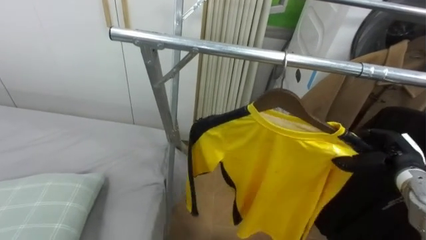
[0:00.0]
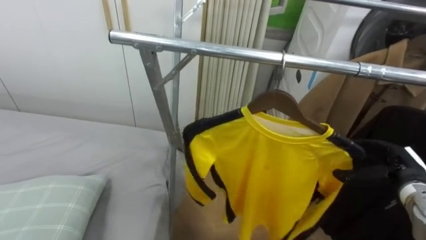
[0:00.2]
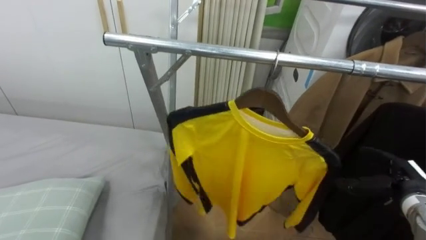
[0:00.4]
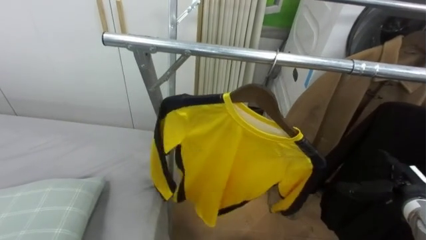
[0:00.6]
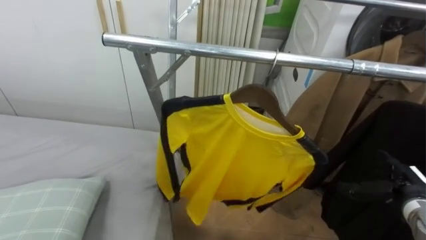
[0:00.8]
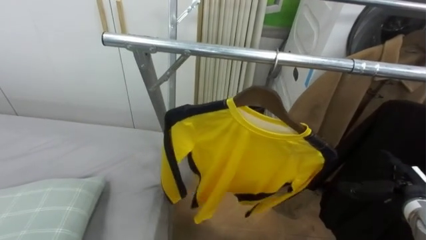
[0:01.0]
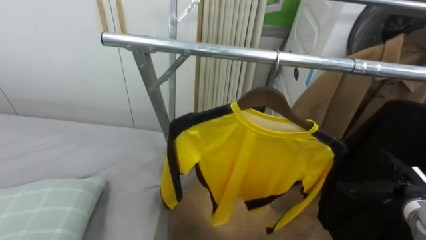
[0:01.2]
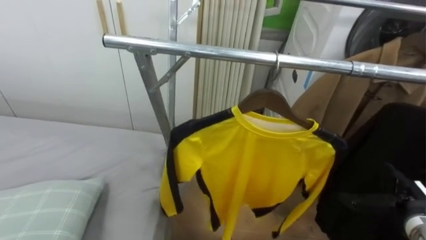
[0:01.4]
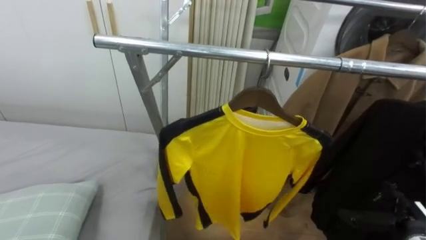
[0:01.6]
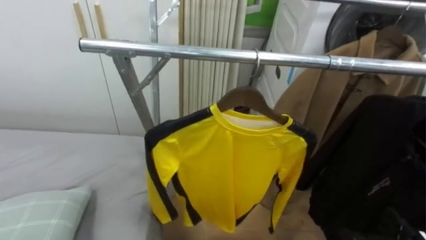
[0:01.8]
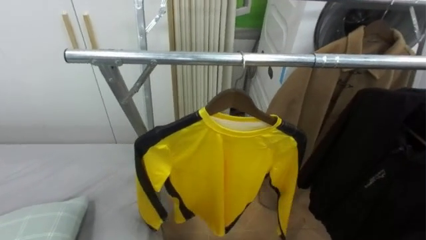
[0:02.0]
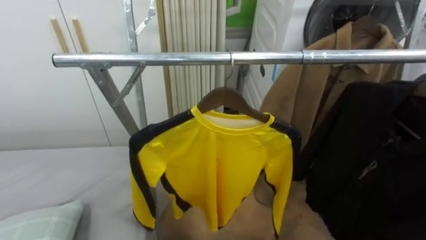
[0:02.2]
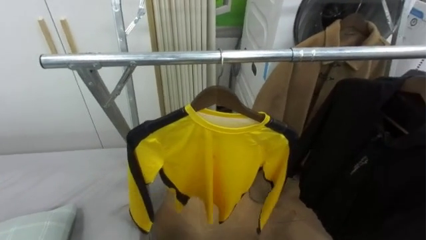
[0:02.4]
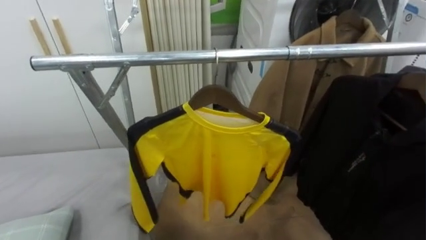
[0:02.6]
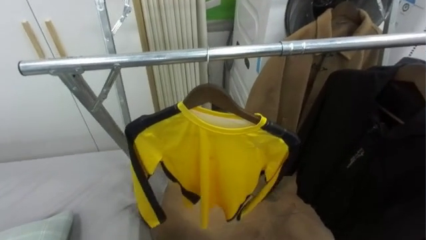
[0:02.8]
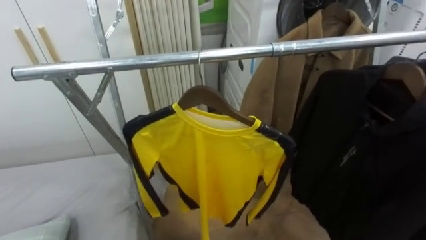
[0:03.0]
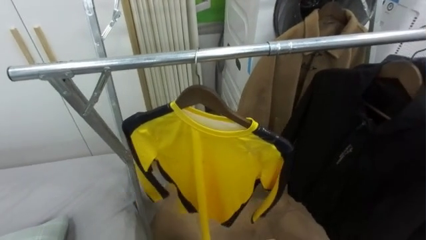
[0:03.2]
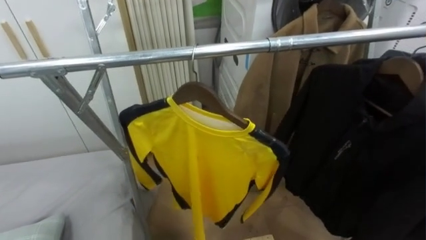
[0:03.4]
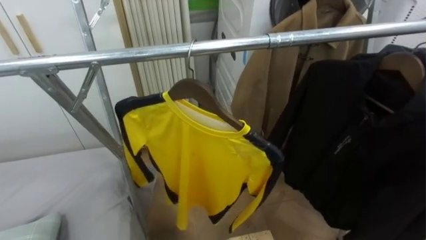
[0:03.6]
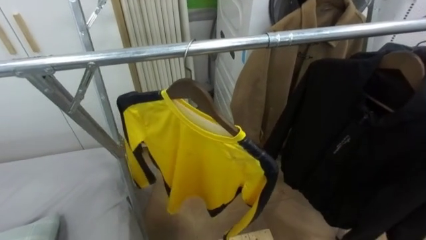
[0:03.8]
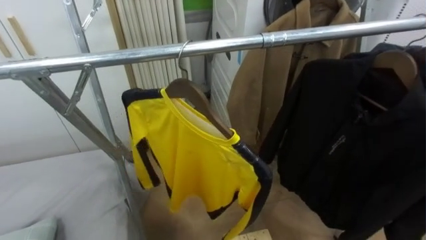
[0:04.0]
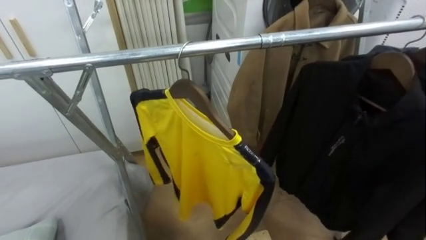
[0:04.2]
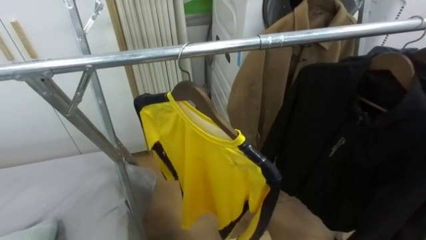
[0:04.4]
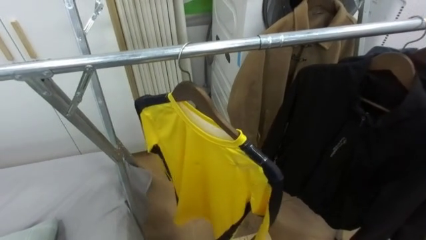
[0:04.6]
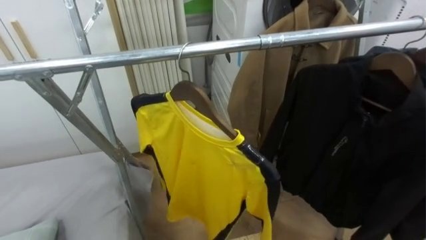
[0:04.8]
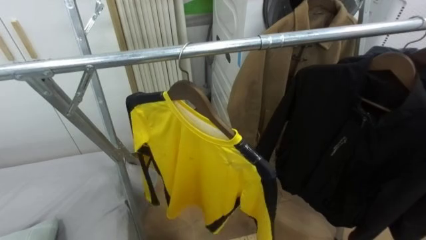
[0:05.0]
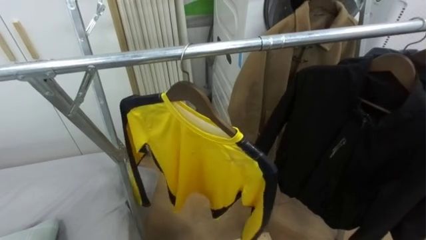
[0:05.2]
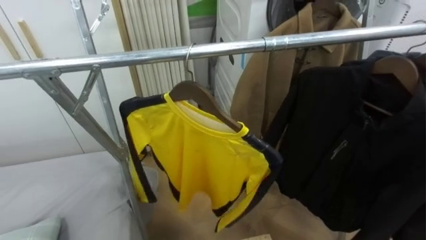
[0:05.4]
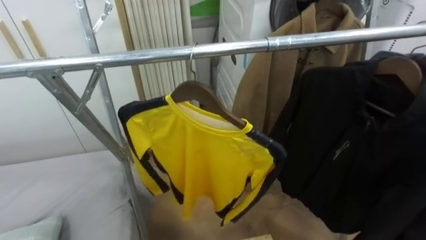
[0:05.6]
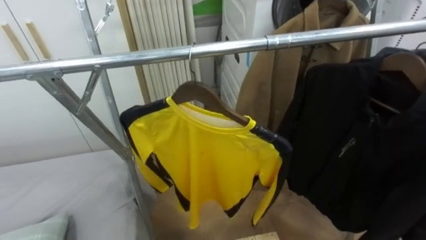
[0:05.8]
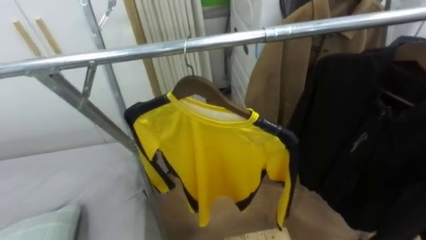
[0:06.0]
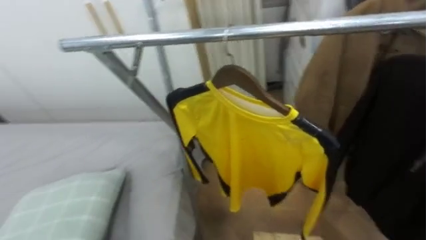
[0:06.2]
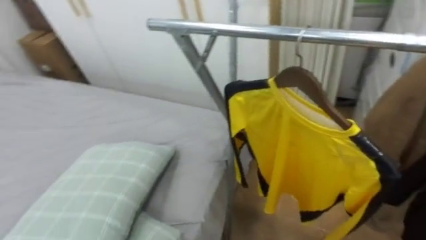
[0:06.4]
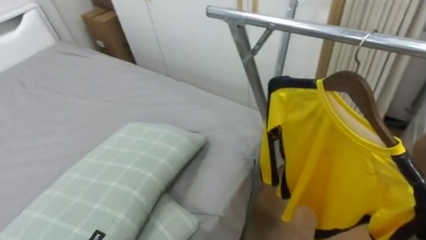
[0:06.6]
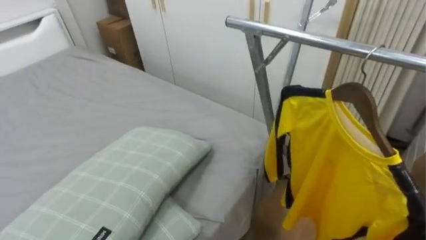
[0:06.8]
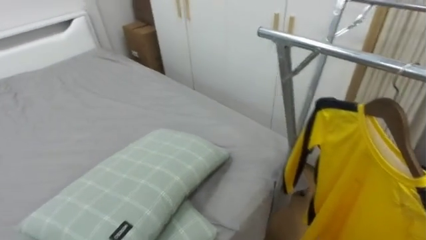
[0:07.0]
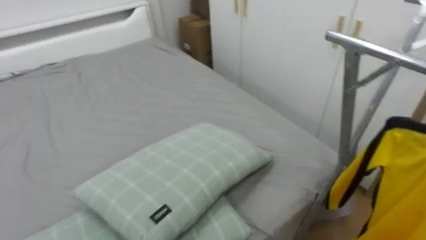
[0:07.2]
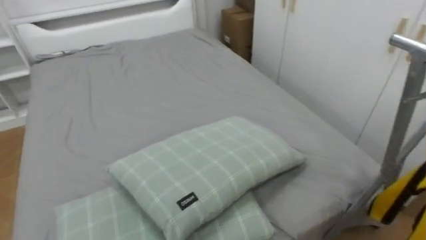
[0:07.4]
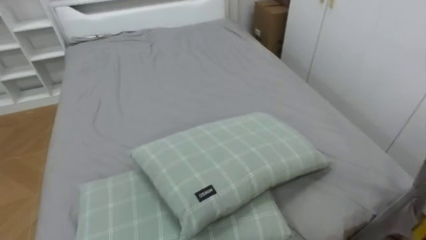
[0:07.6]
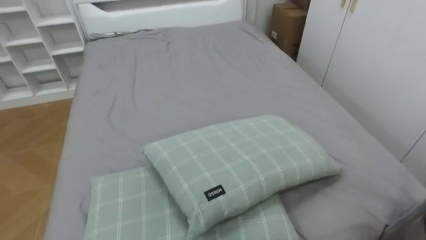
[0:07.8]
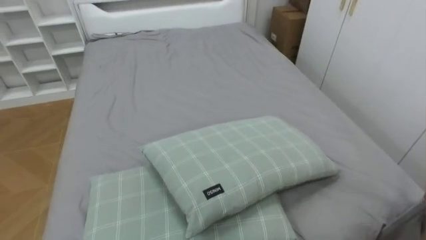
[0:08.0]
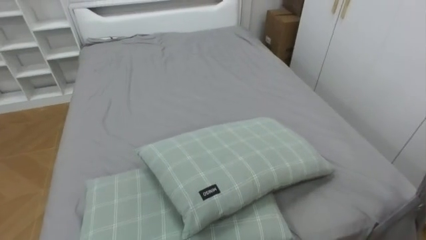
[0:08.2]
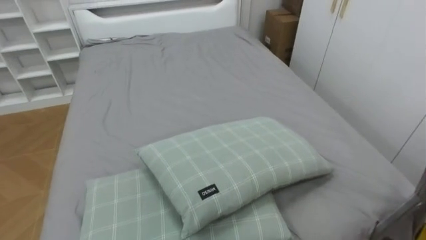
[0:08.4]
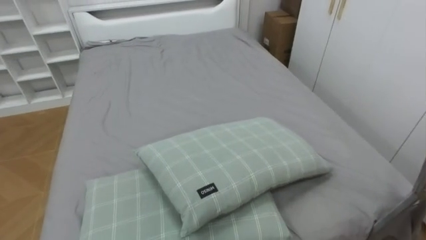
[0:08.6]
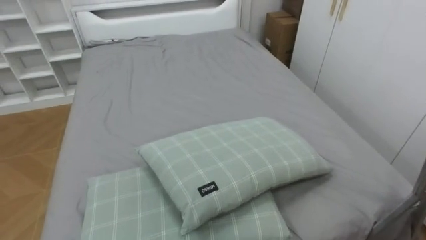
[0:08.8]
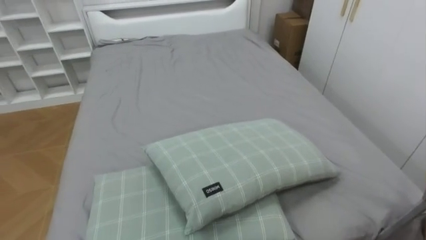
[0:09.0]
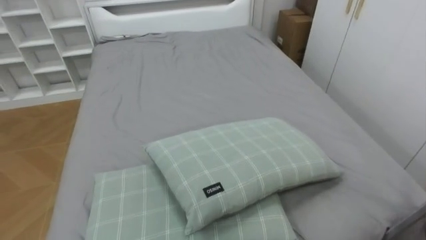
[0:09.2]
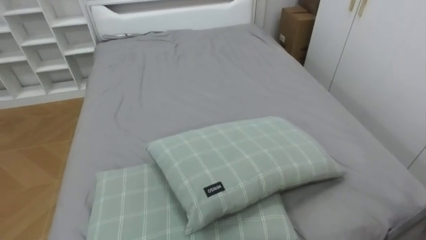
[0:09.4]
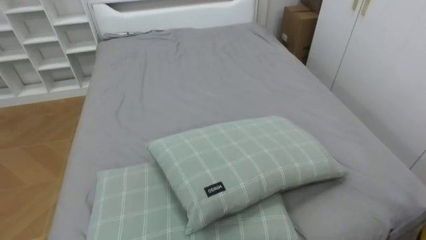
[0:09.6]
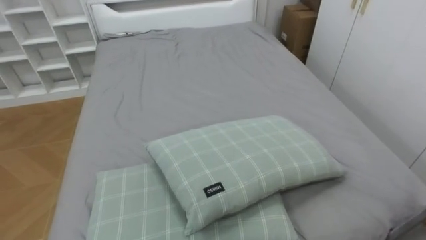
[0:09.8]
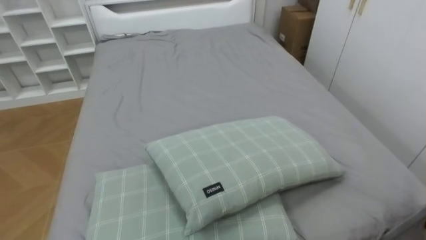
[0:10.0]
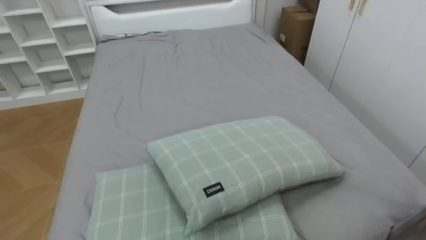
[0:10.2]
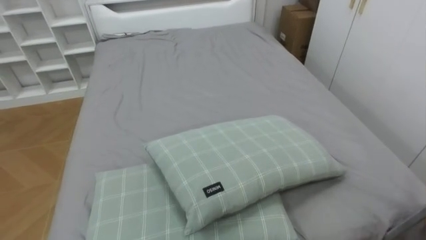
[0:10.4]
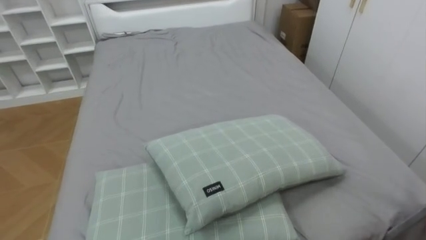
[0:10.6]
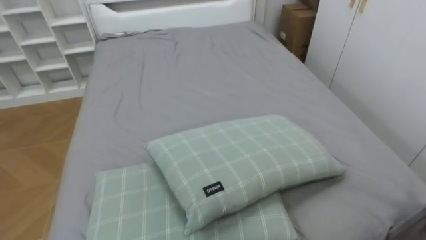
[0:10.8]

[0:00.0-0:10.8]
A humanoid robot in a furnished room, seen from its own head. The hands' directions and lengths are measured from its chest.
Task of the whole recording: Pick up the yellow shirt on the bed and hang it on the clothes rack on the right.
0:00.0 to 0:01.6: The right hand heads backward and downward, covering roughly 15 cm, and opens.
0:04.6 to 0:06.2: The robot rotates some 20 degrees to its left.
0:06.2 to 0:07.8: The robot's body swings roughly 65 degrees to its left.

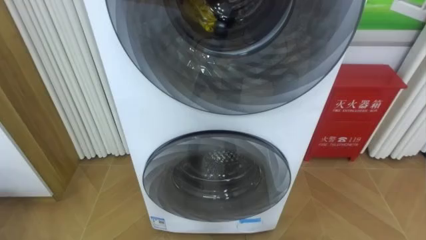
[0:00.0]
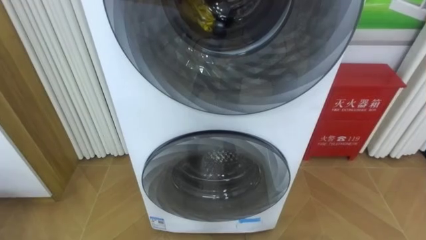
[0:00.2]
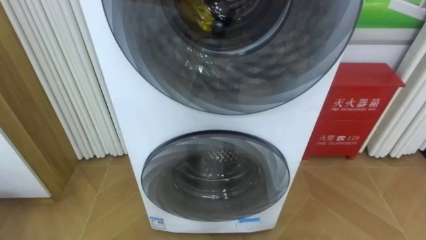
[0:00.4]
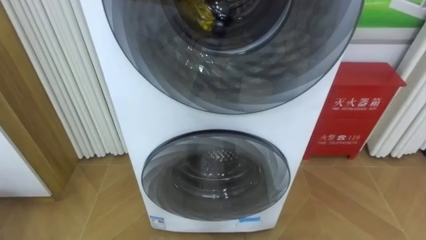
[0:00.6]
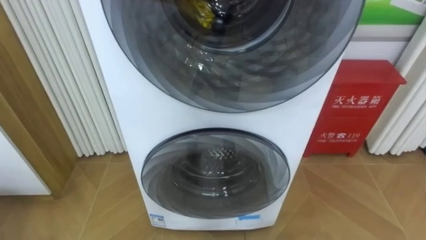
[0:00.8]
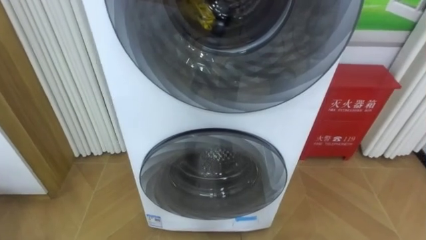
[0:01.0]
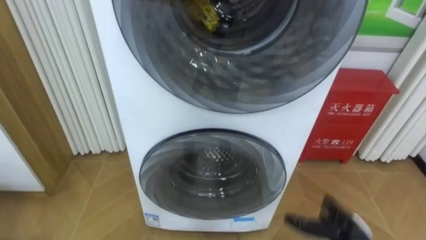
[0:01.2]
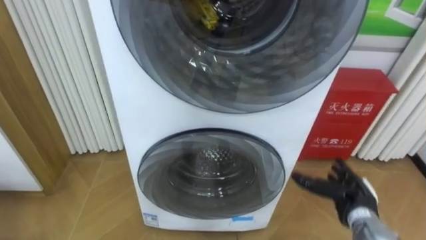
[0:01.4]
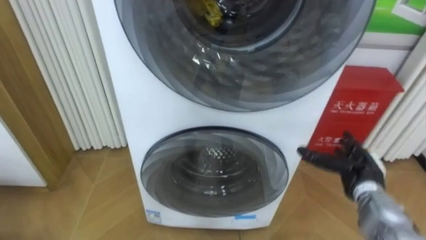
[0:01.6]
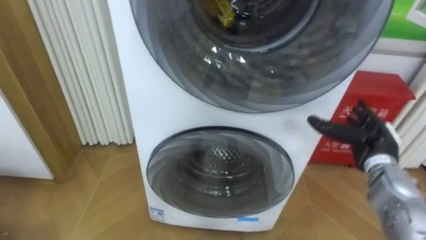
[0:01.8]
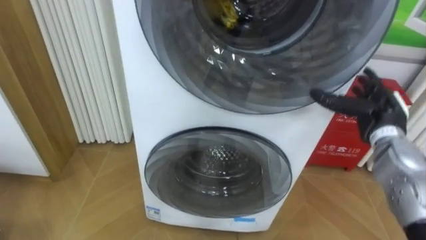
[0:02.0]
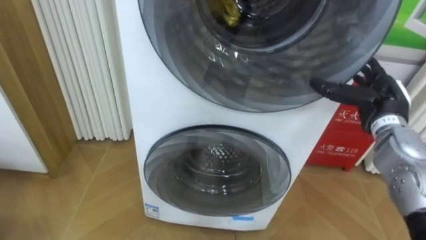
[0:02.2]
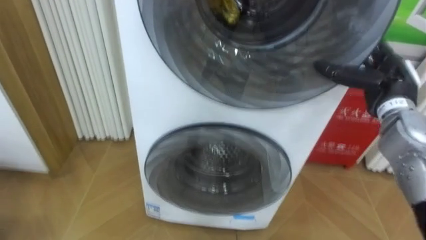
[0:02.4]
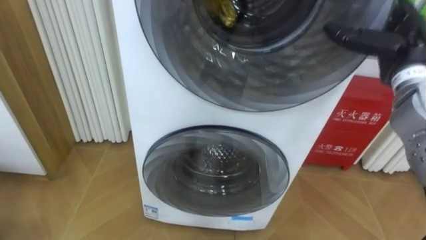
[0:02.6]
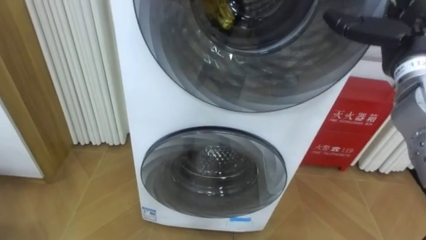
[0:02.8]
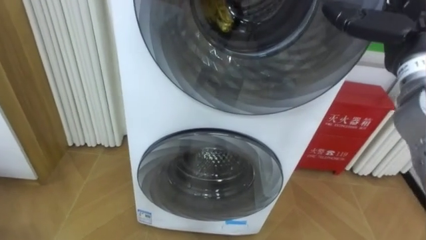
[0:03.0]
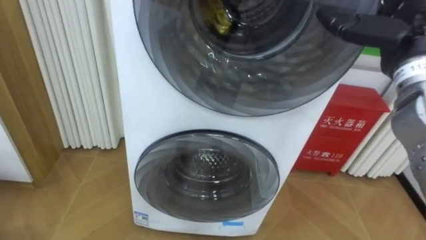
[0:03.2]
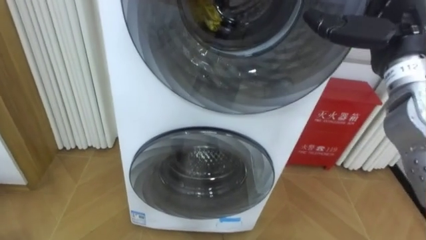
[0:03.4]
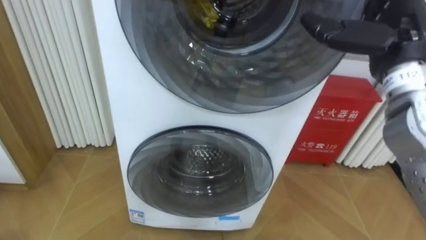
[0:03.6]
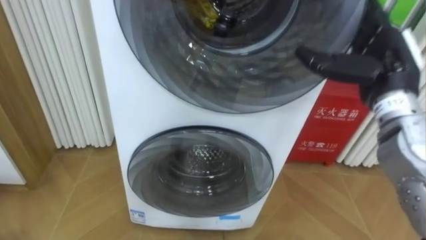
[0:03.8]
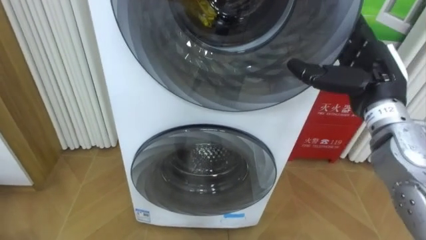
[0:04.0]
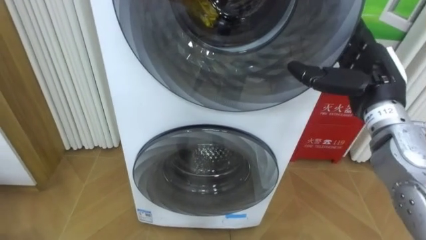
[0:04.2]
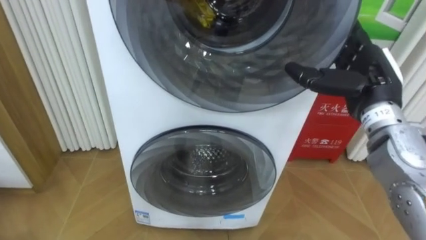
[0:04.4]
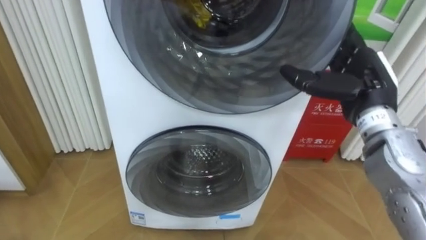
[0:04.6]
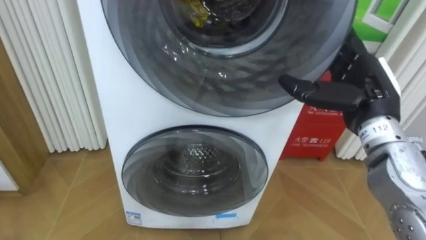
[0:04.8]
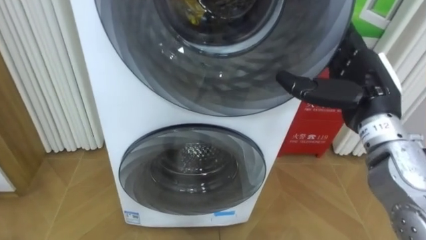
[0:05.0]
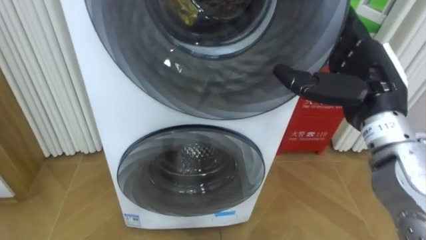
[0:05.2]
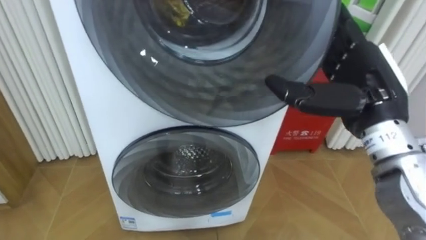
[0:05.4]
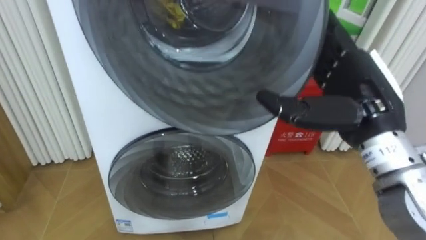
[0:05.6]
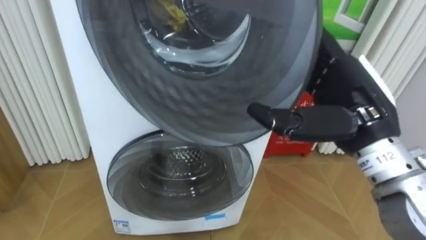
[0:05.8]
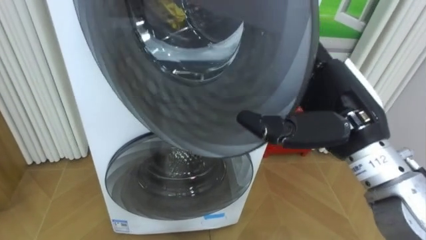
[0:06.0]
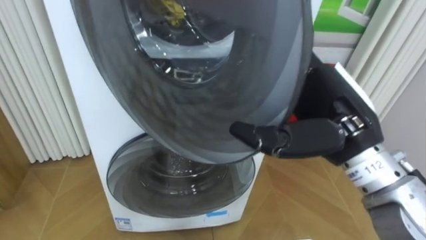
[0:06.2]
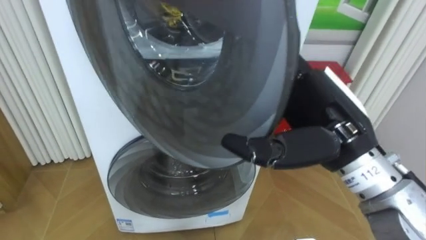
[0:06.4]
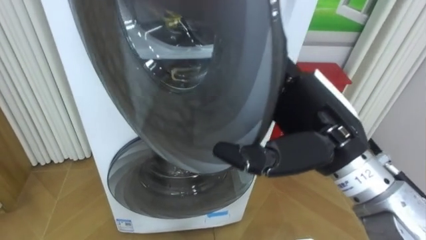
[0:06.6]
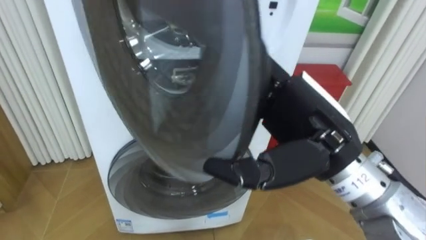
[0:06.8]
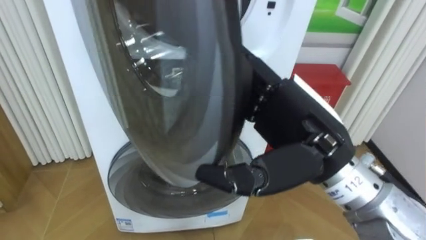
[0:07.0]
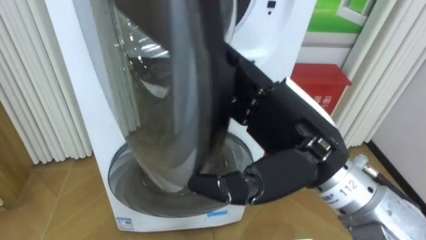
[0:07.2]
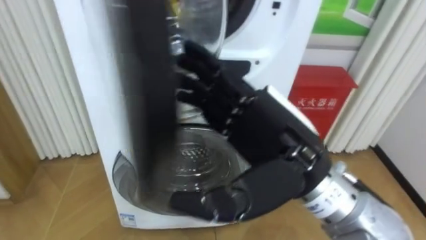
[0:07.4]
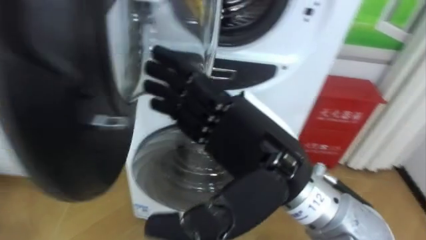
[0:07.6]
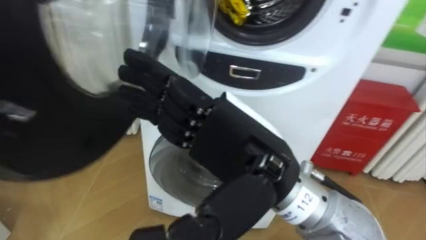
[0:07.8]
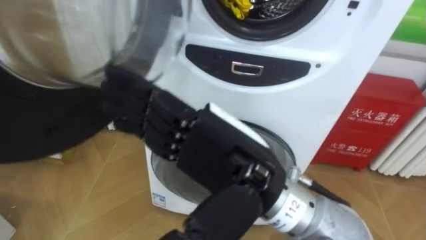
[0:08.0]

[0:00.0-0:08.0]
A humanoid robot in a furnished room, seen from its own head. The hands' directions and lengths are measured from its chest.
Task of the whole recording: Open the washing machine door, take out the yellow clothes, place them in the box on the right, and close the washing machine door.
0:01.6 to 0:03.2: The right hand moves upward, some 25 cm.
0:03.2 to 0:04.8: The right hand shifts some 10 cm downward.
0:04.8 to 0:06.4: The right hand travels to the left and backward by about 10 cm.
0:06.4 to 0:08.0: The right hand shifts about 15 cm to the left and backward.
